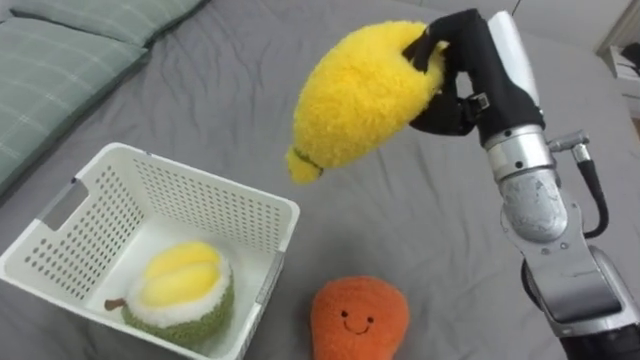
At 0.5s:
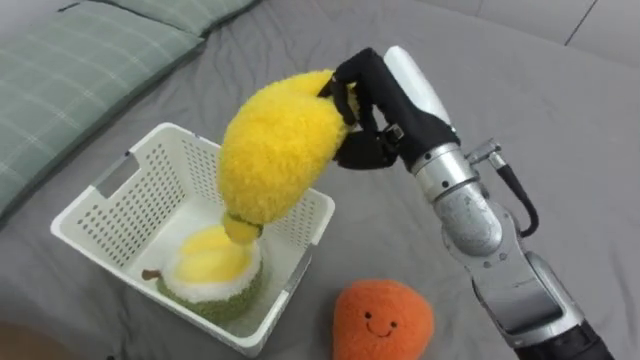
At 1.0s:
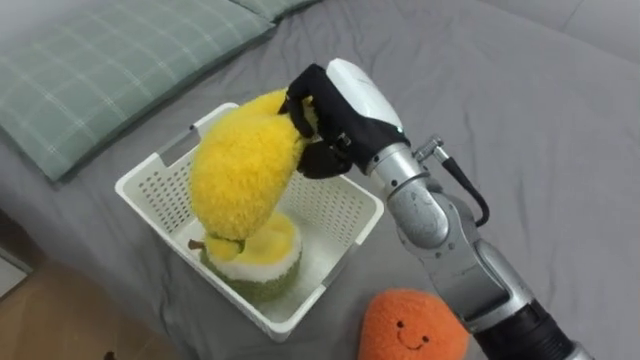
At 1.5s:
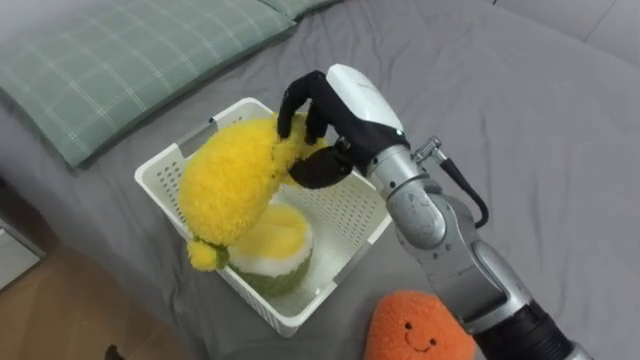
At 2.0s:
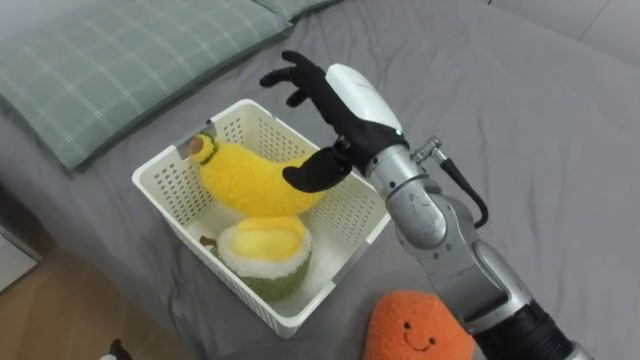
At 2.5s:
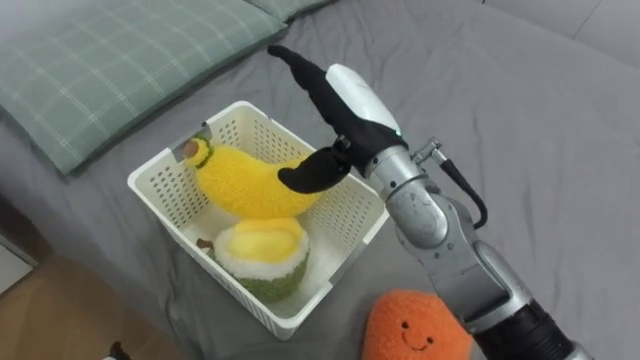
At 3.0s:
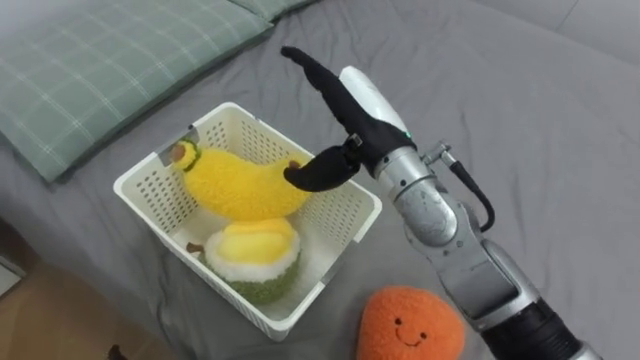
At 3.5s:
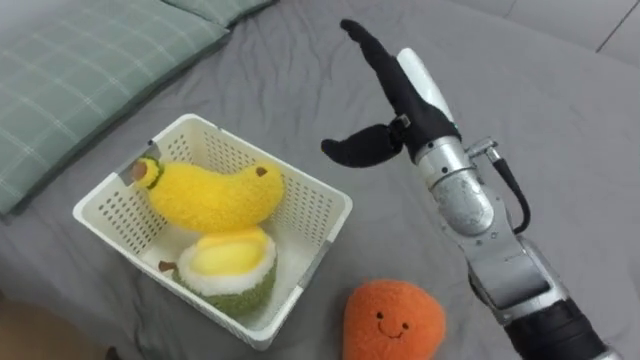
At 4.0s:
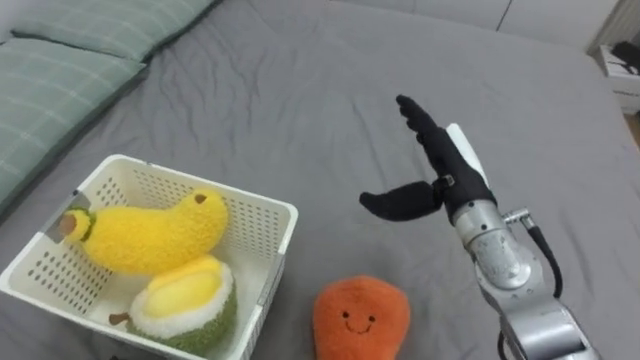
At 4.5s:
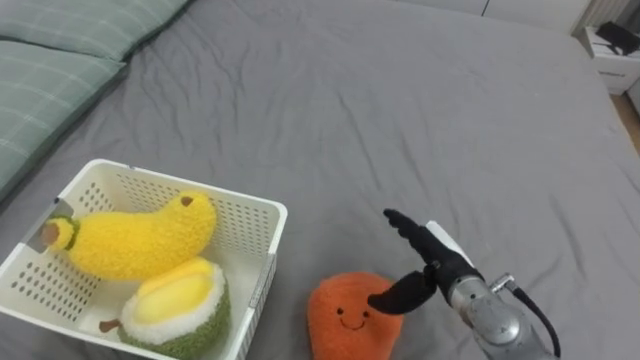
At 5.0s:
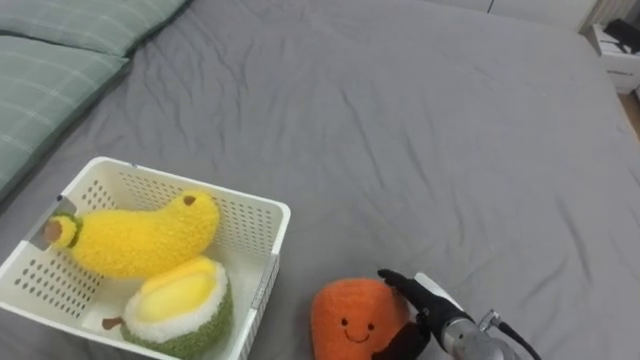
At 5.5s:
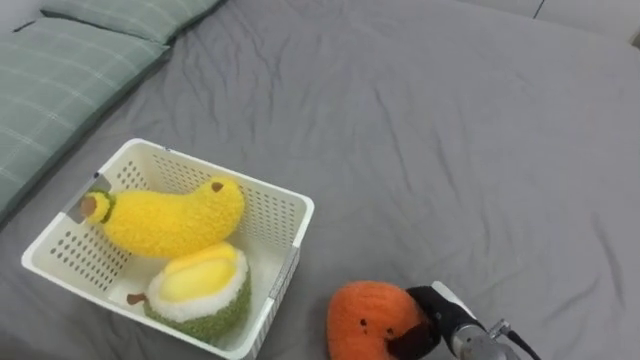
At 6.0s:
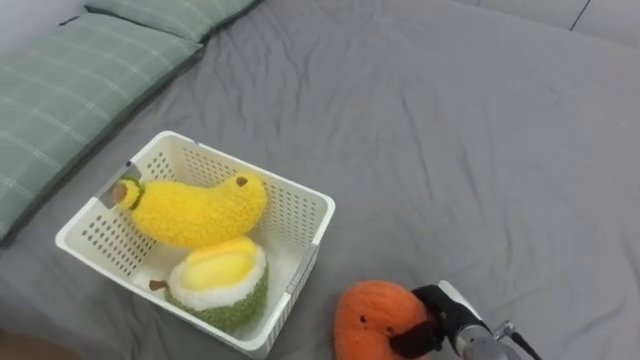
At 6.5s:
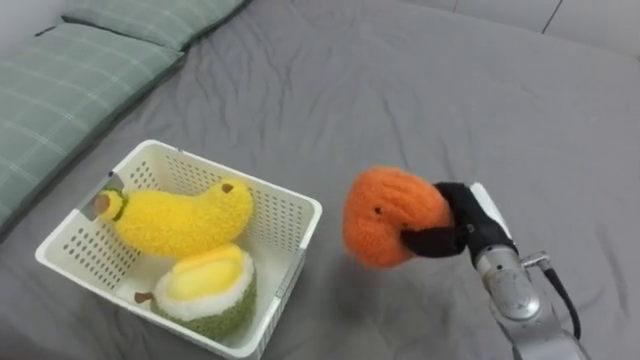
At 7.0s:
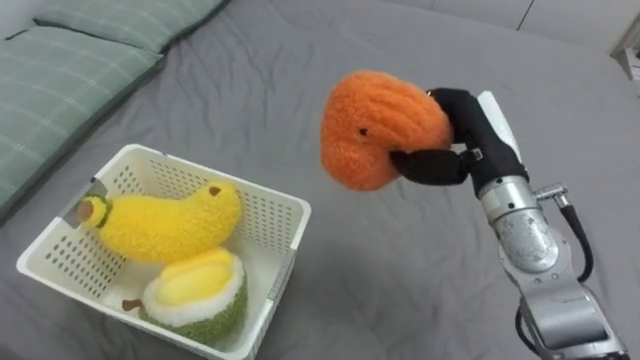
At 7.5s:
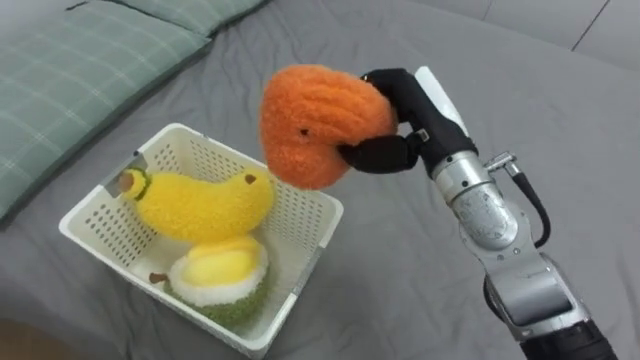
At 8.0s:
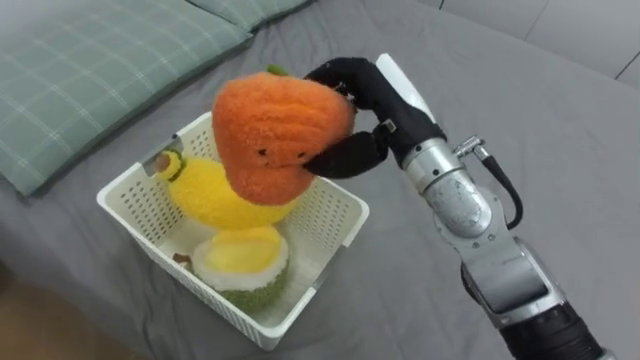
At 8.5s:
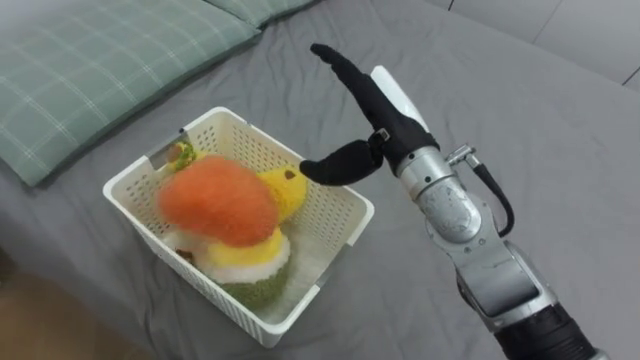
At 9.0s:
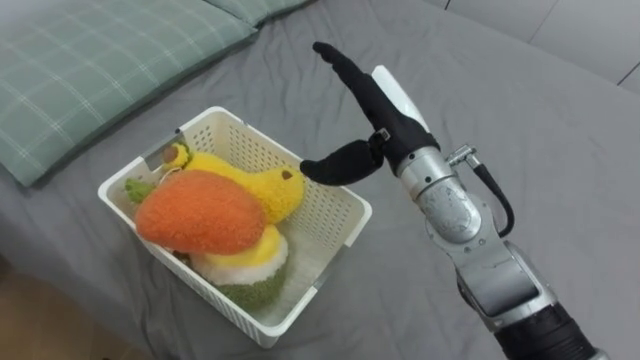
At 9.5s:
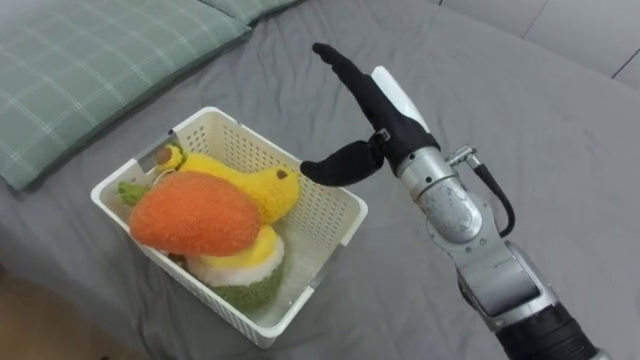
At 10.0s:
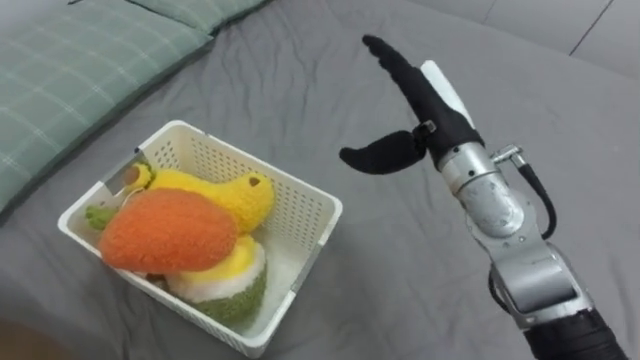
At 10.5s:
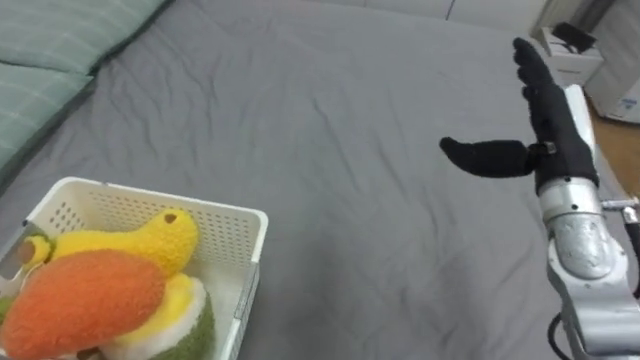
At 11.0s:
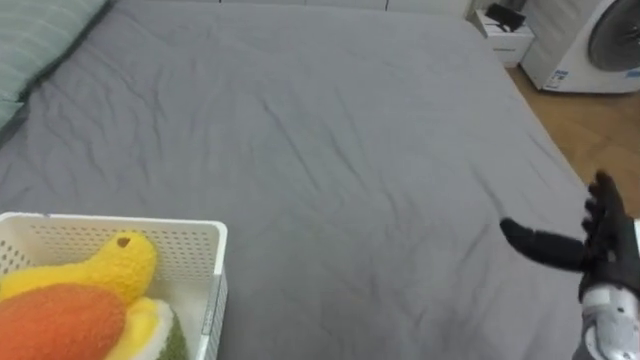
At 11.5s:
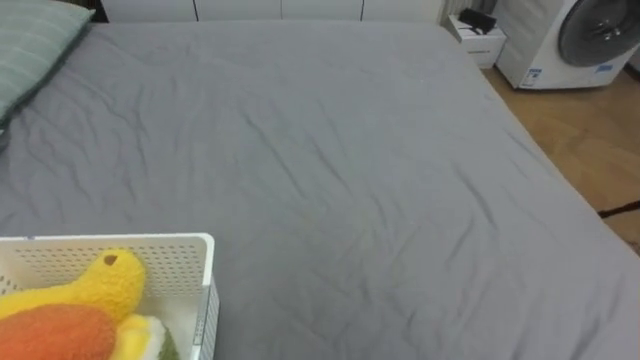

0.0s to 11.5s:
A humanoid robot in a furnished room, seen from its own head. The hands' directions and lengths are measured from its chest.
Task of the whole recording: Put the toys on the bed into the basket on the left.
0.0s to 2.0s: The right hand moves to the left, about 15 cm, and opens its fingers.
2.0s to 4.0s: The right hand is displaced to the right and downward by about 15 cm.
4.0s to 6.0s: The right hand shifts roughly 25 cm downward and backward, and closes.
6.0s to 7.5s: The right hand is displaced upward and forward by roughly 30 cm.
7.5s to 9.5s: The right hand opens its fingers.

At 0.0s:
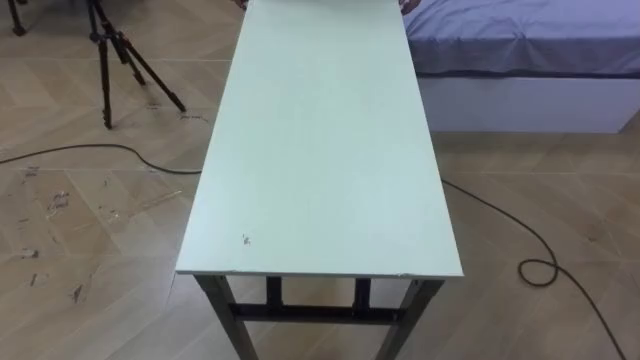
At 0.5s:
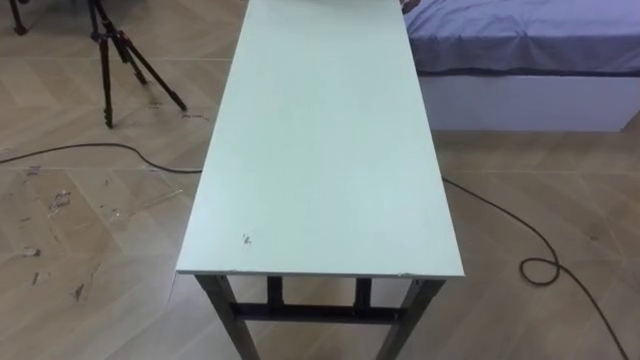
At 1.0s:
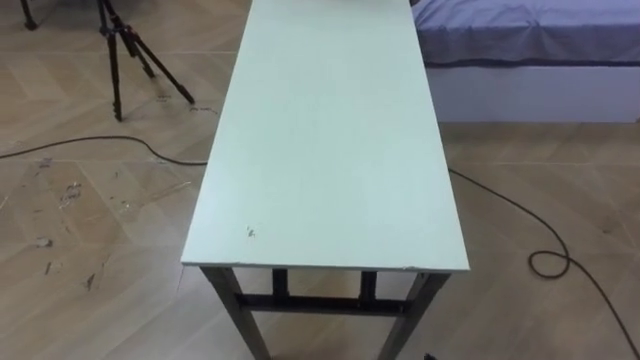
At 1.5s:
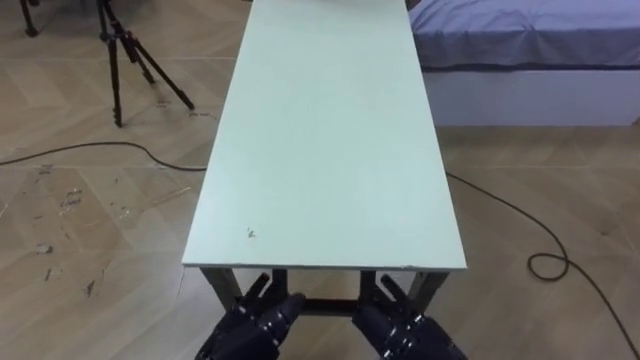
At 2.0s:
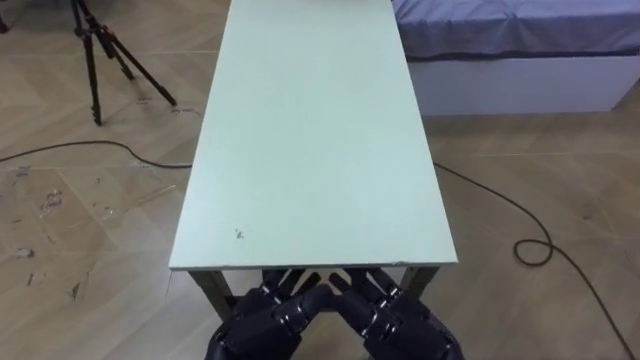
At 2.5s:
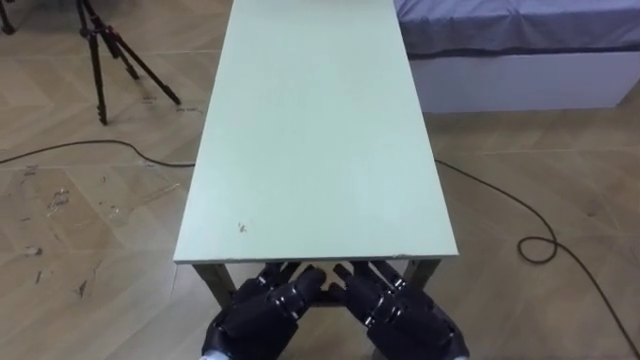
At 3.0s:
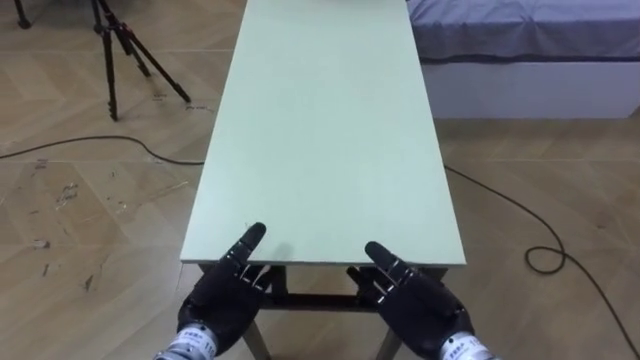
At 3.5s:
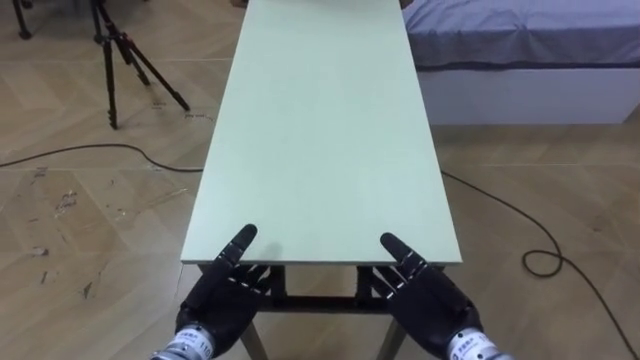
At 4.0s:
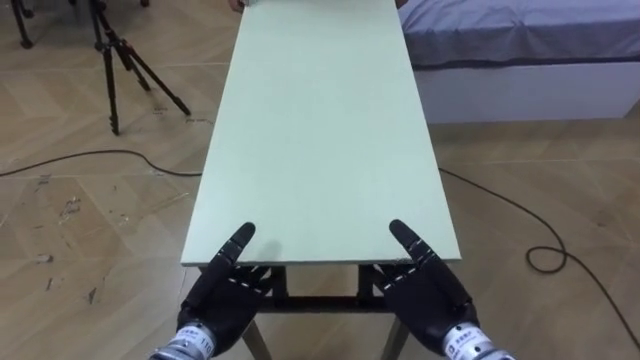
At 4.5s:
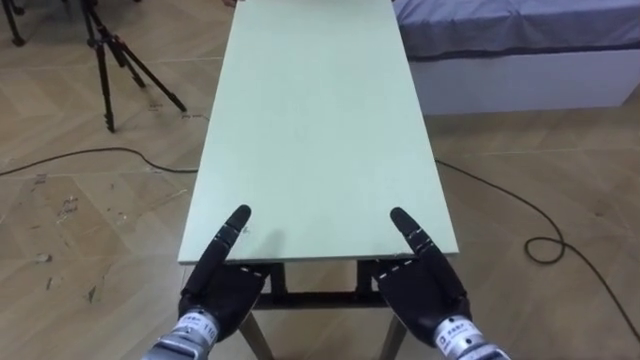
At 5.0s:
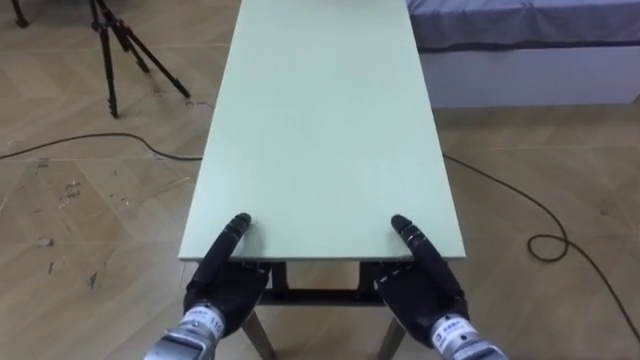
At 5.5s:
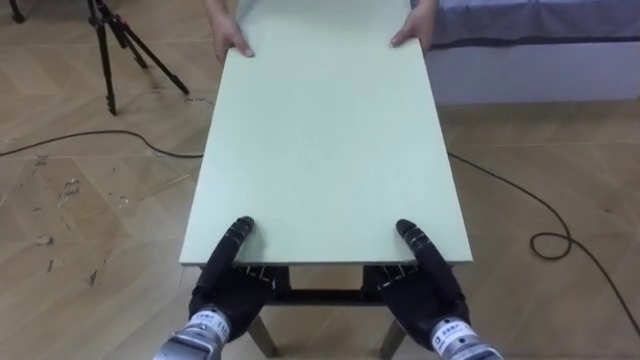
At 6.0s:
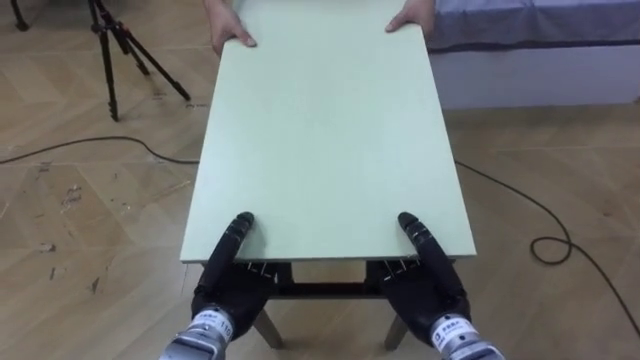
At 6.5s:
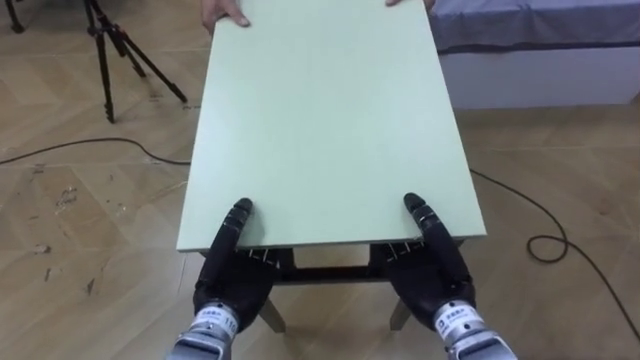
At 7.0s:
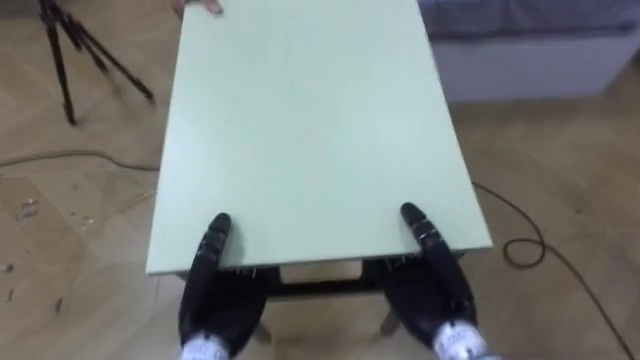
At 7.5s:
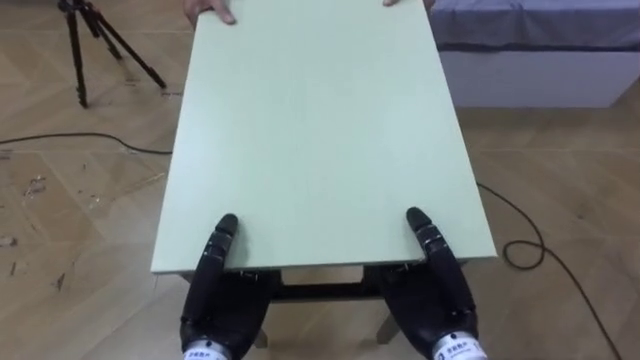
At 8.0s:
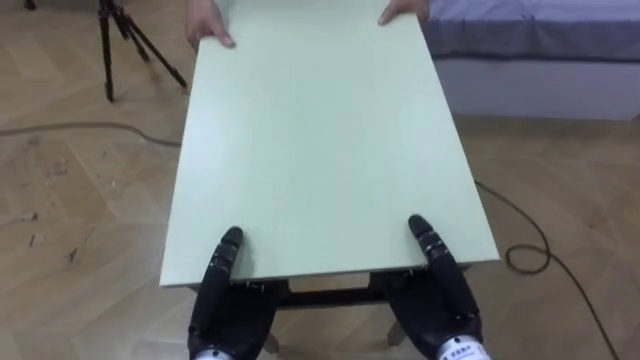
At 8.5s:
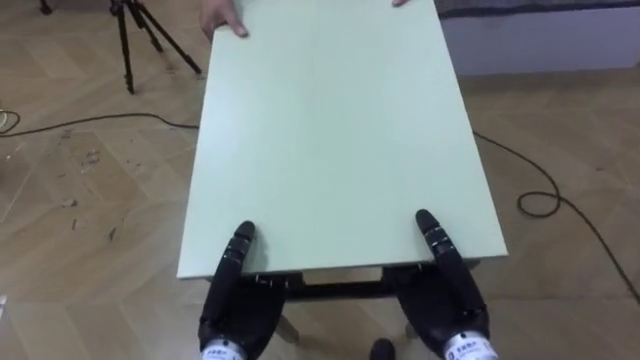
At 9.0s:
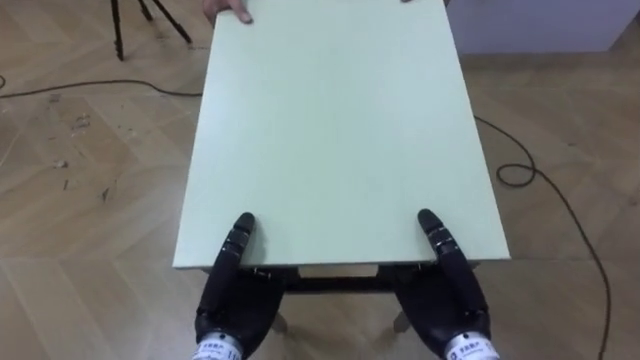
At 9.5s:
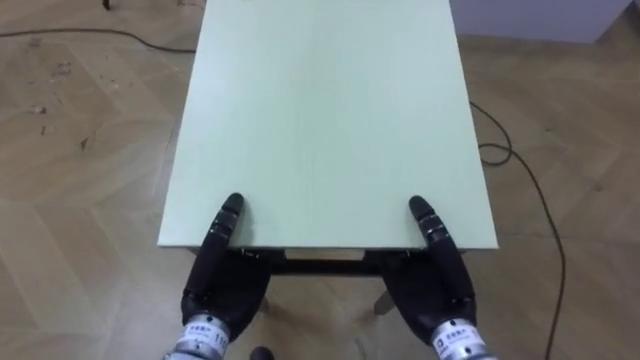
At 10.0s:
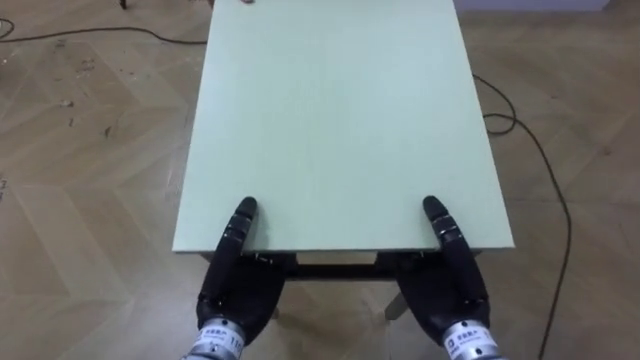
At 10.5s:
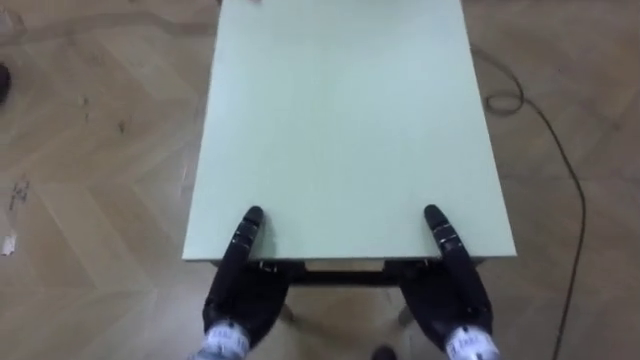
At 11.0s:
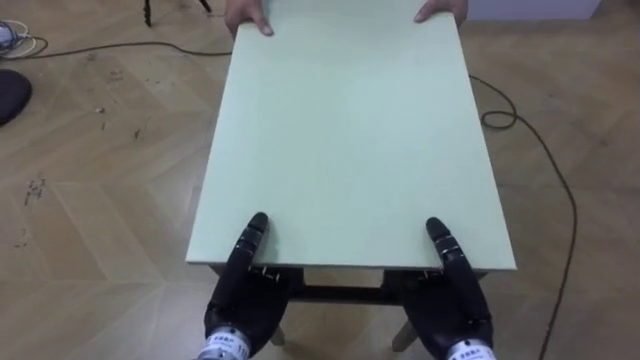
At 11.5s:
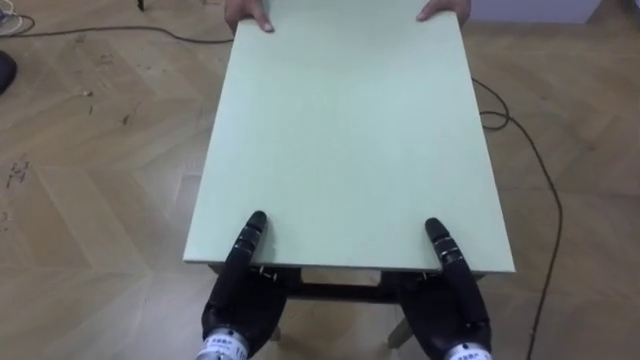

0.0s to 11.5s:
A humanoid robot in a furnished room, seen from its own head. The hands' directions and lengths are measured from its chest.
Task of the whole recording: Move the table to the back left with someone.
2.0s to 4.0s: The left hand goes roughly 5 cm to the left, while the right hand ends up roughly 5 cm from where it was.
4.0s to 6.0s: The right hand closes up; the left hand closes up.
6.0s to 7.5s: The left hand shifts by some 5 cm.
